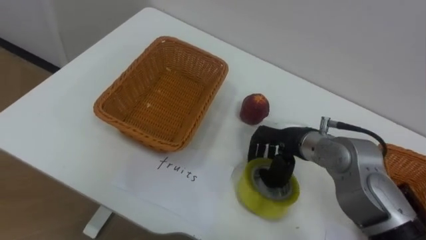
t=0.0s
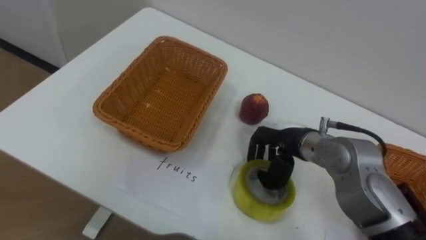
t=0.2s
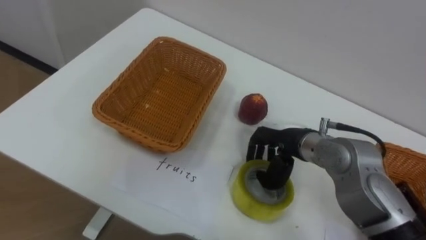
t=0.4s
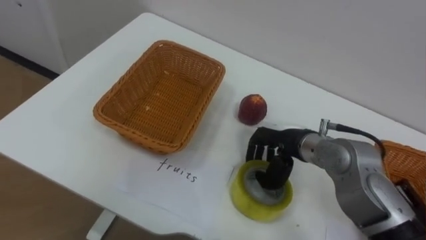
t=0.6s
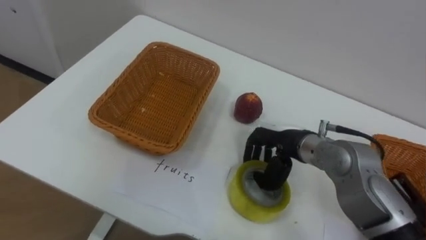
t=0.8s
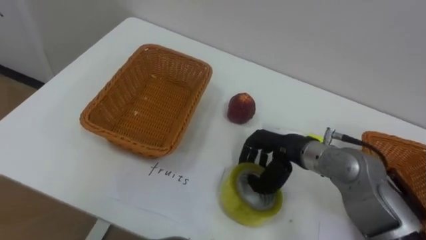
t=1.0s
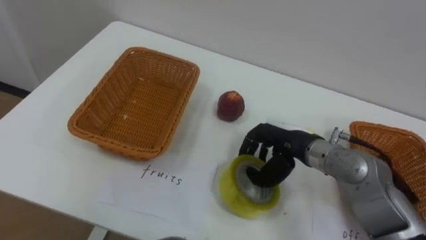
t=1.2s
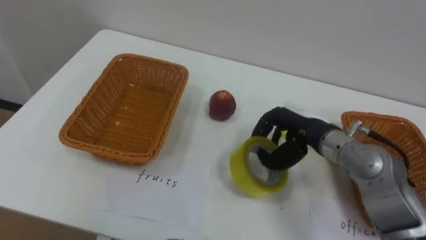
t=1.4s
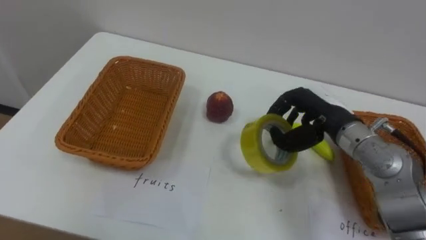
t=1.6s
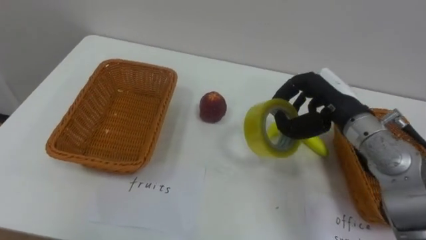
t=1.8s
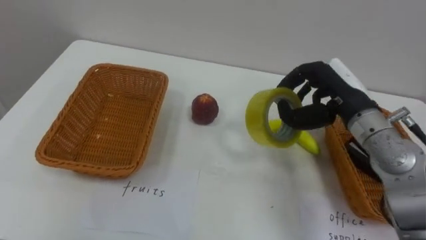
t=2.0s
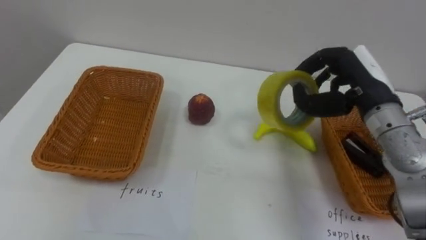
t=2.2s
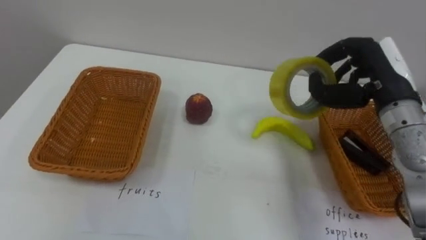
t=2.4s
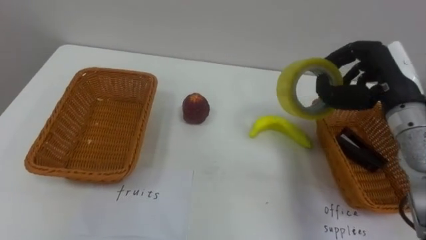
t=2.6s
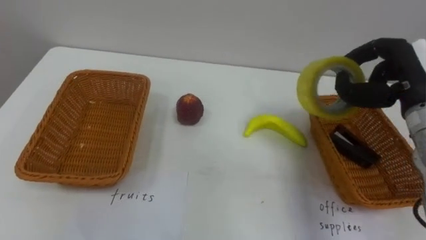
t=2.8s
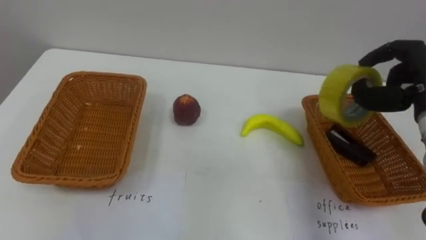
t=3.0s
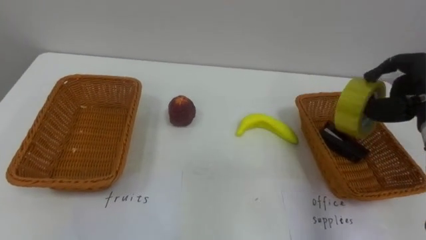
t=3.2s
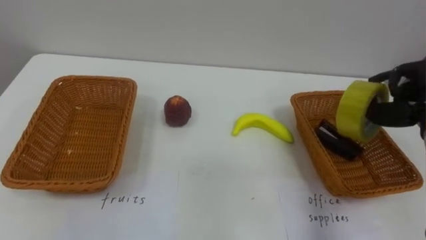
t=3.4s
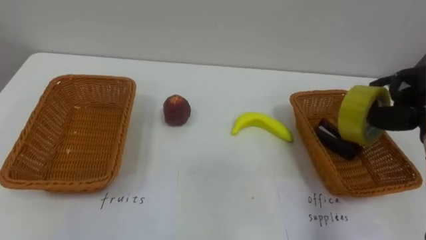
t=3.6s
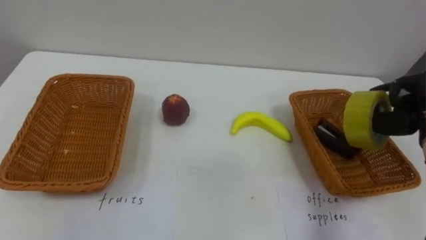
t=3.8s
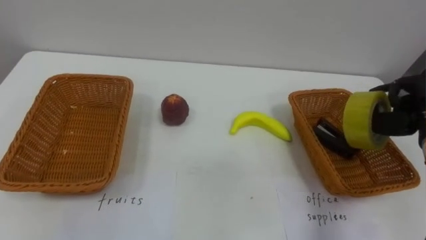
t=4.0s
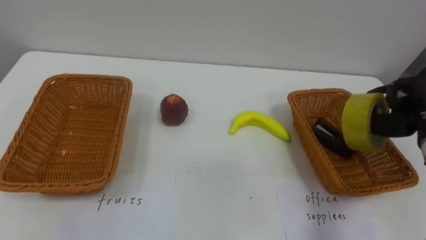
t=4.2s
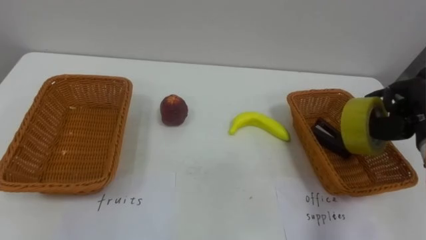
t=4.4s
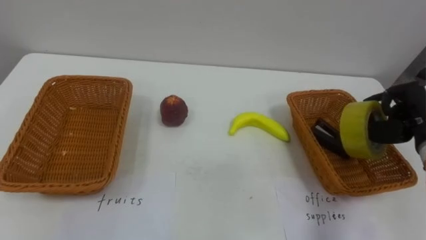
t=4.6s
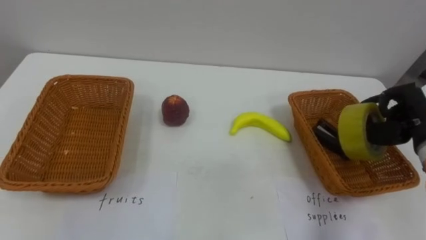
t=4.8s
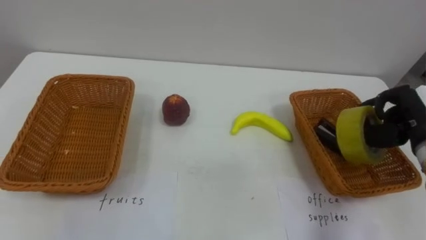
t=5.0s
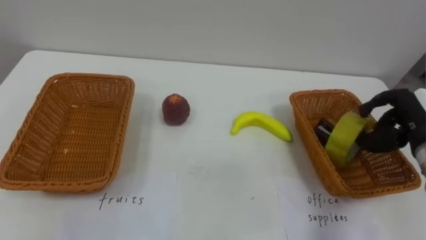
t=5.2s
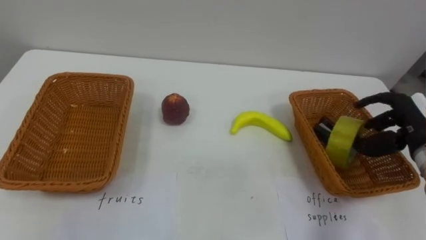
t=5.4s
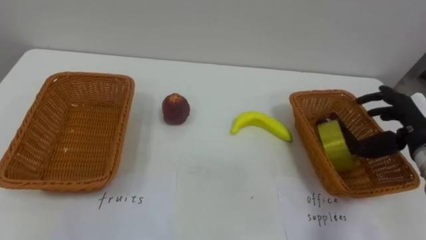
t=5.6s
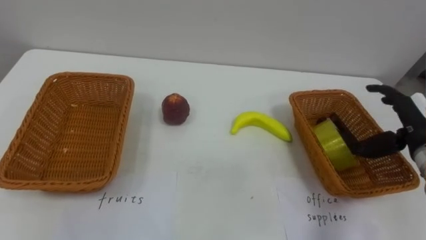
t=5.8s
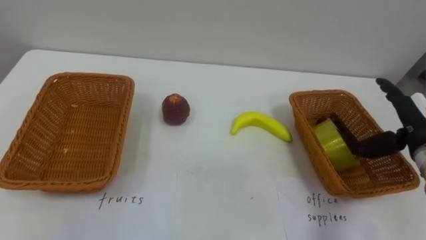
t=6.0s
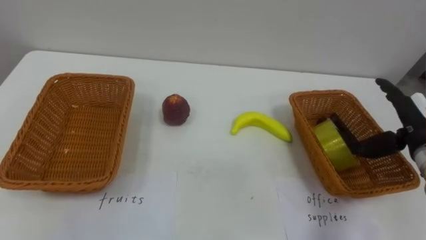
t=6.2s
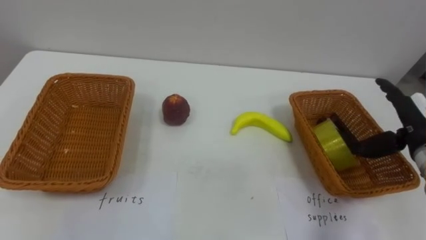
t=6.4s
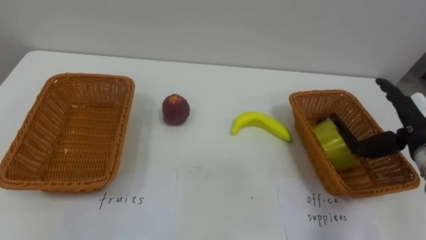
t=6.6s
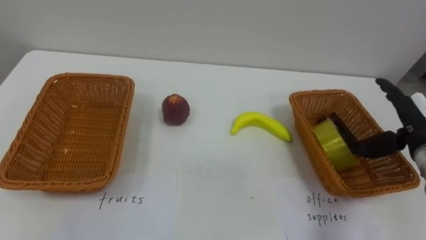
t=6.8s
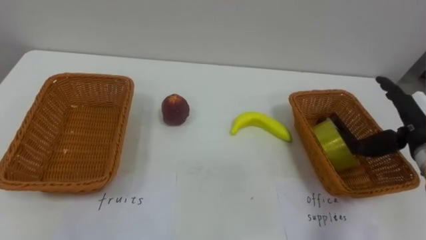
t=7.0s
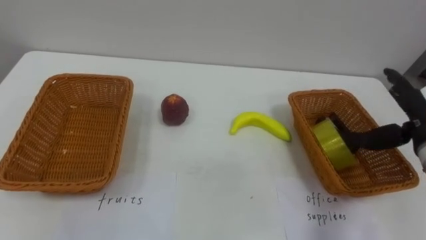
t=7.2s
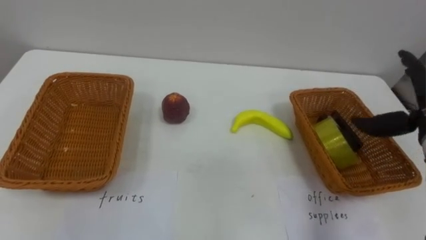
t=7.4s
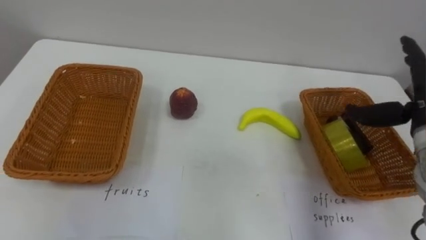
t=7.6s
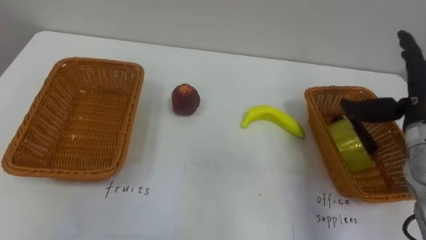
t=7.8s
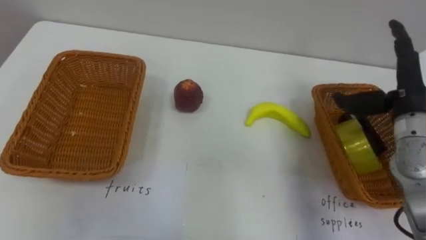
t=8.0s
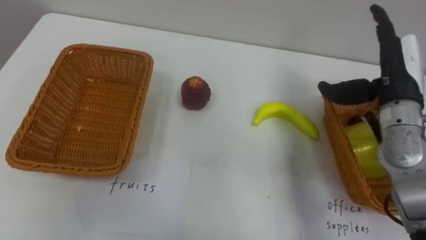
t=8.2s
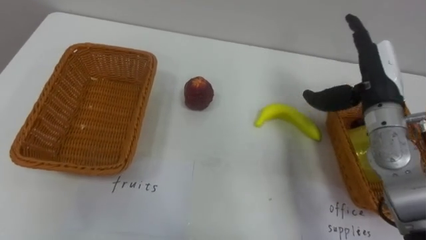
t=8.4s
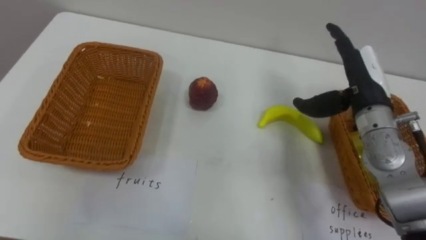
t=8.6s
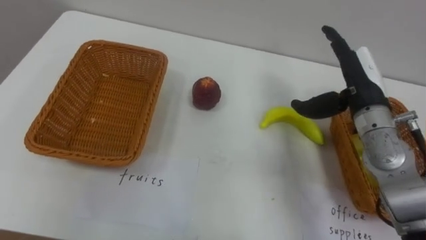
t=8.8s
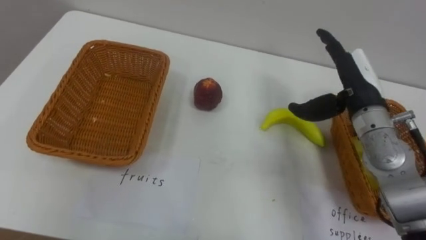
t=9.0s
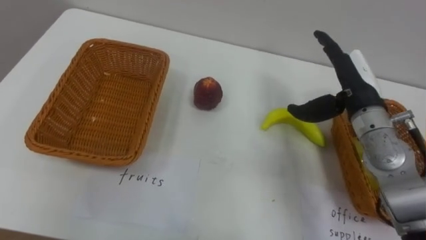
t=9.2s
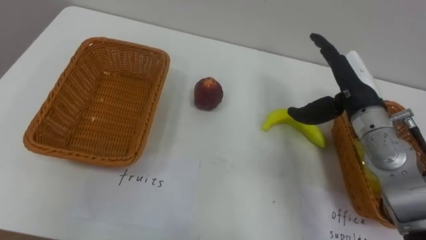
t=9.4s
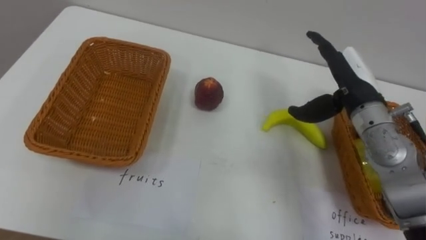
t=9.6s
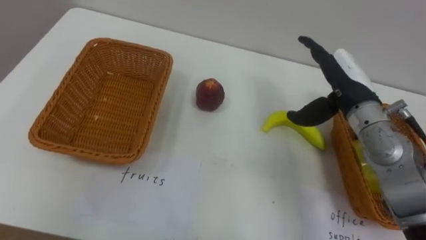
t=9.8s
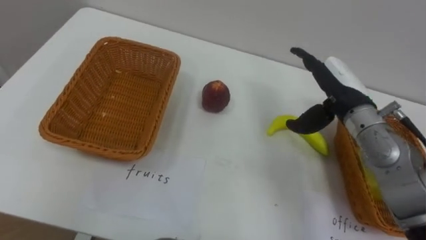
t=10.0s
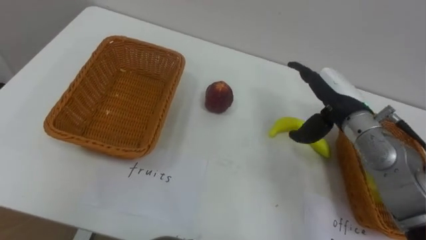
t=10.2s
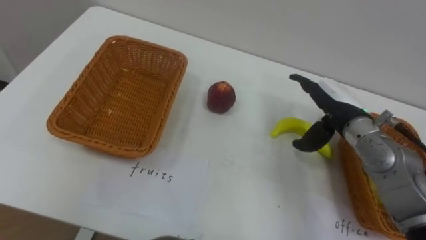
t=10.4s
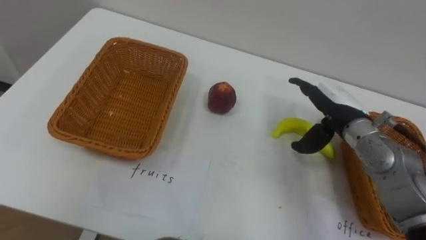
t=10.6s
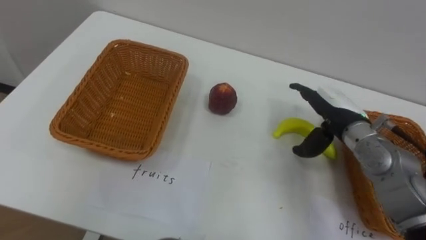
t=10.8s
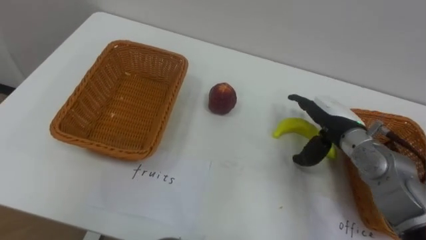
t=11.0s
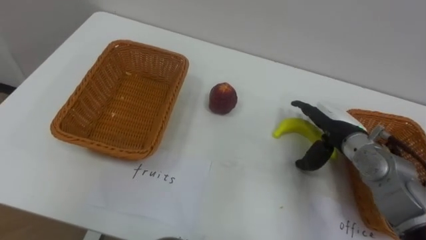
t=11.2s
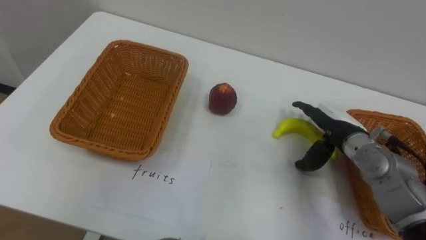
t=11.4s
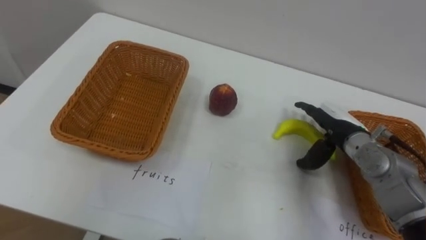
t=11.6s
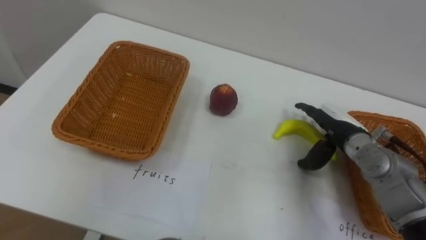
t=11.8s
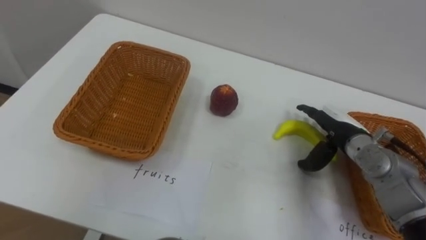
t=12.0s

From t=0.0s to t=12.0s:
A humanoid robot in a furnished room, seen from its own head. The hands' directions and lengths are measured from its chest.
Task of the whole recording: Separate the items on the table and place them into the two baskets.
From t=0.0s to t=1.6s: The right hand goes roughly 5 cm to the right.
From t=1.6s to t=3.0s: The right hand moves to the right and upward, some 15 cm.
From t=4.4s to t=6.0s: The right hand opens.
From t=6.0s to t=7.6s: The right hand is displaced upward by approximately 5 cm.
From t=7.6s to t=9.0s: The right hand goes roughly 10 cm to the left.
From t=9.0s to t=10.4s: The right hand is displaced downward by some 5 cm.
From t=10.4s to t=12.0s: The right hand goes some 5 cm downward.

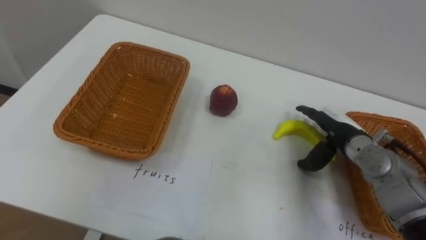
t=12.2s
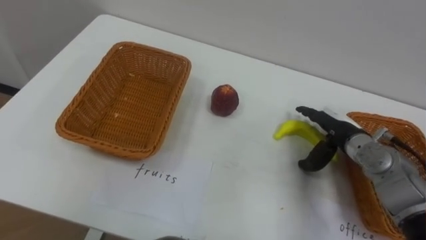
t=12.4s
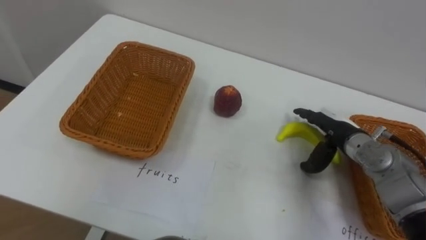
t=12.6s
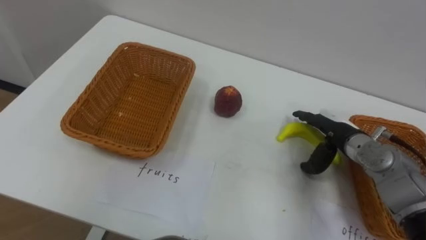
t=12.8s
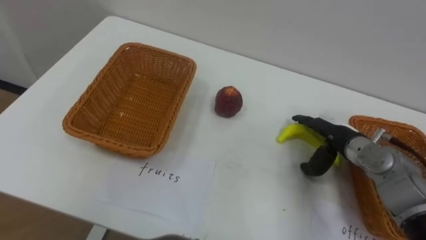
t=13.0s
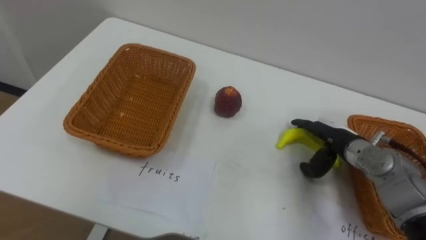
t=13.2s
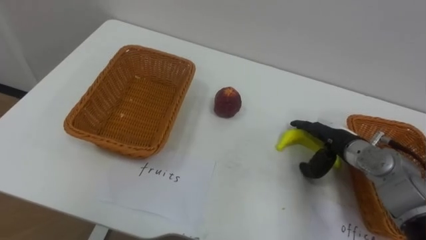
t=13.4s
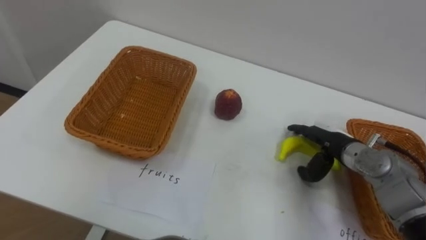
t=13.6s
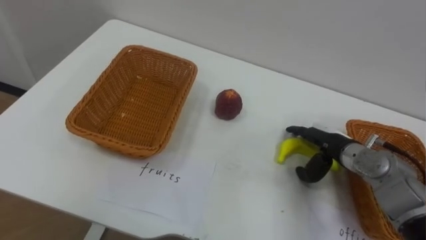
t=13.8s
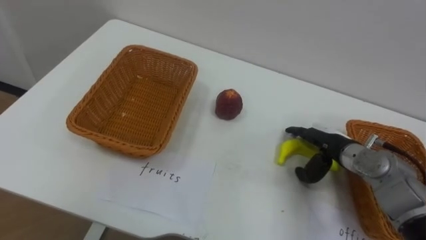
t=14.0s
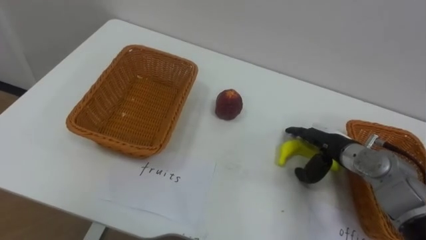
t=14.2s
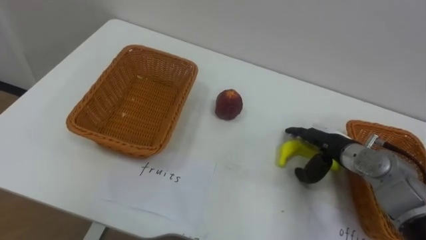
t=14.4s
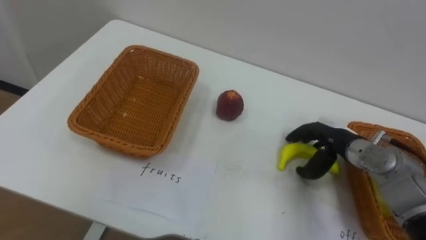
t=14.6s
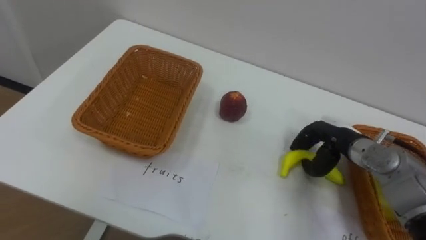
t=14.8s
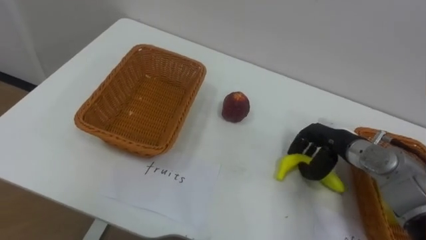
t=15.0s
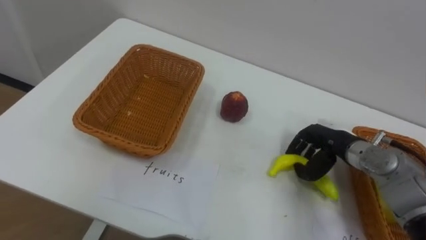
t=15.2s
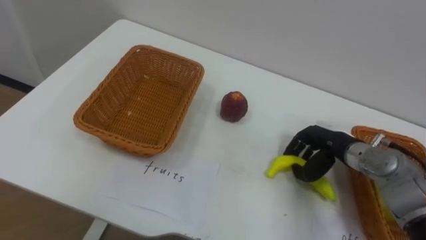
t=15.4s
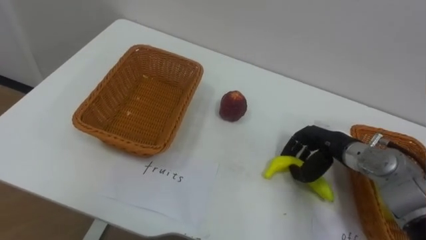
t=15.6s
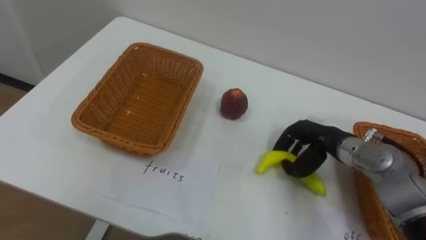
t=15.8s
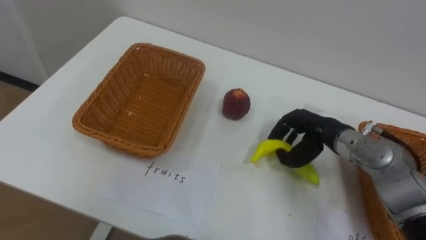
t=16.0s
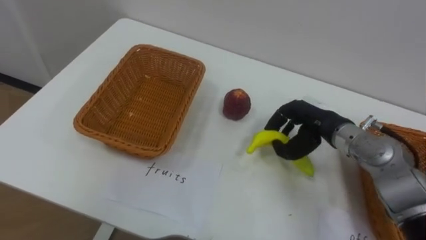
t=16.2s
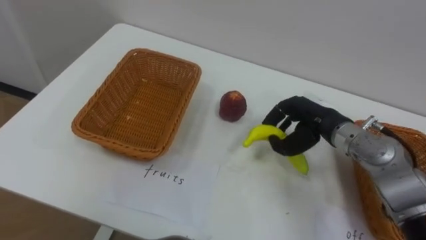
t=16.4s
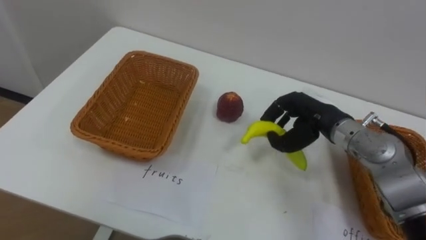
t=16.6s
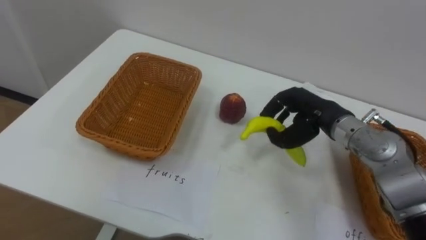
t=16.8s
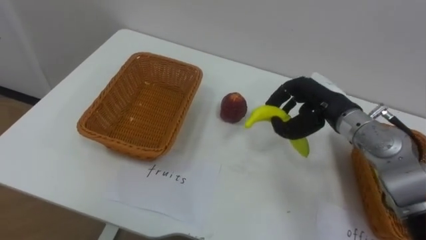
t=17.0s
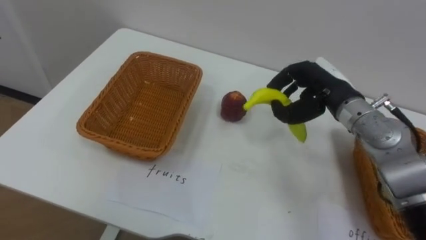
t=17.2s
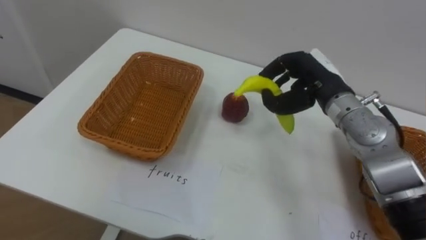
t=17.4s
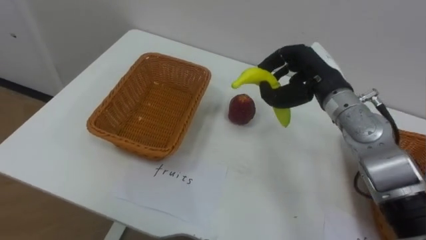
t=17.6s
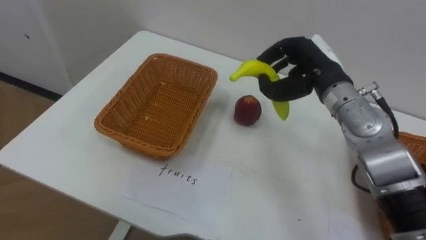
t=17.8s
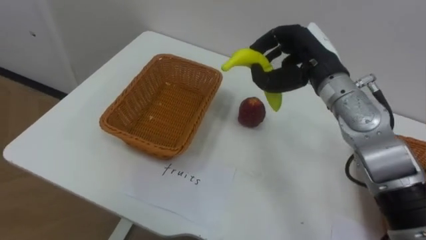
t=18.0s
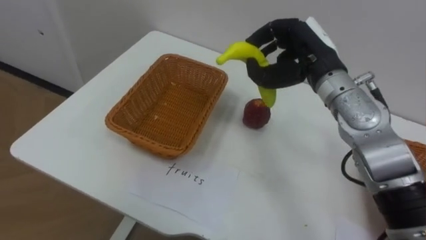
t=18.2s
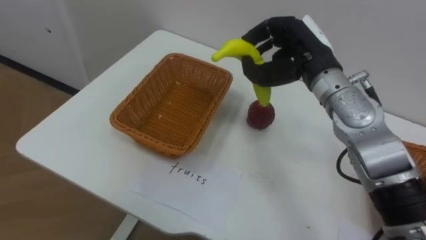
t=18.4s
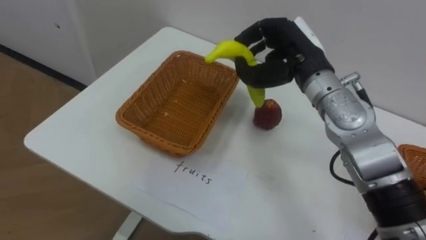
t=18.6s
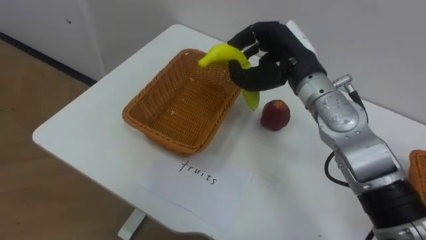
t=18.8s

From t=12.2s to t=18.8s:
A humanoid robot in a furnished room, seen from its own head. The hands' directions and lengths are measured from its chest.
Task of the whole recording: Separate the items on the table and place them into the two baskets.
From t=13.8s to t=15.4s: The right hand closes its fingers.
From t=15.4s to t=17.2s: The right hand is displaced upward by roughly 10 cm.
From t=17.2s to t=18.8s: The right hand goes roughly 10 cm to the left and upward.
